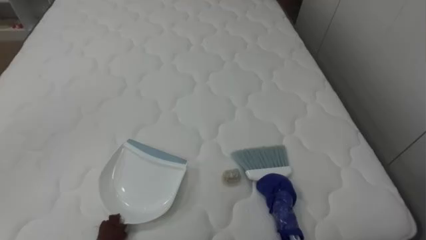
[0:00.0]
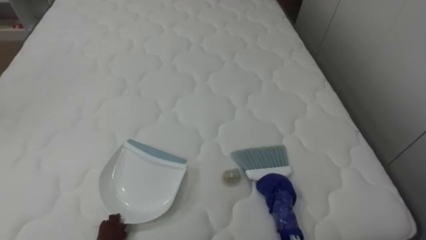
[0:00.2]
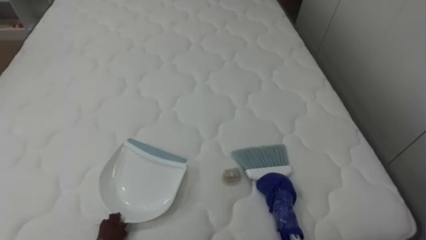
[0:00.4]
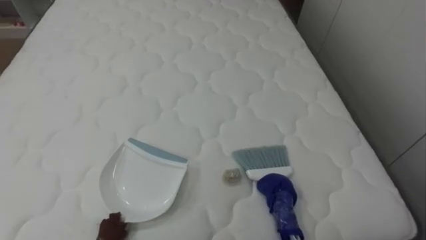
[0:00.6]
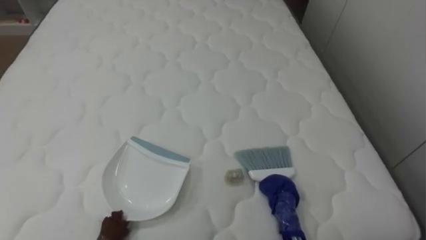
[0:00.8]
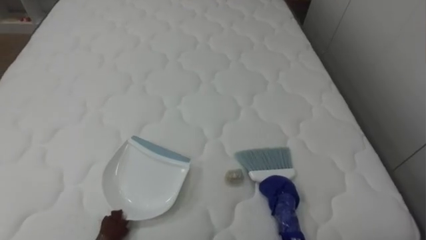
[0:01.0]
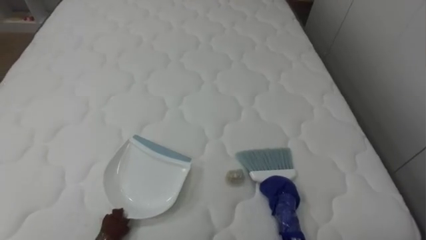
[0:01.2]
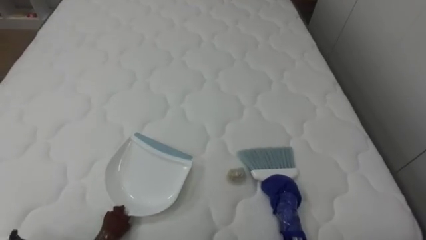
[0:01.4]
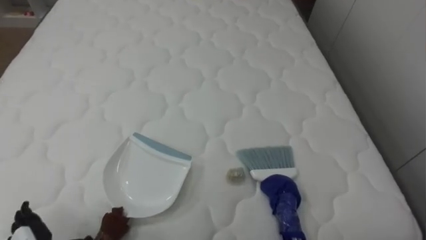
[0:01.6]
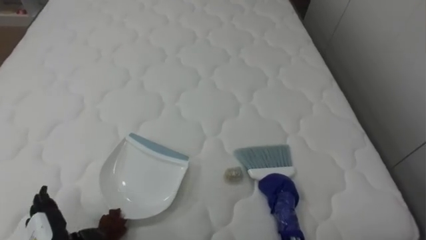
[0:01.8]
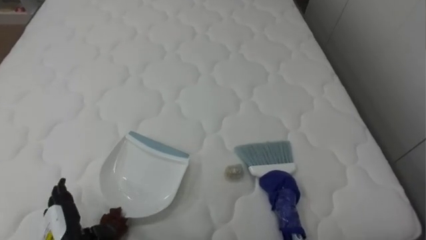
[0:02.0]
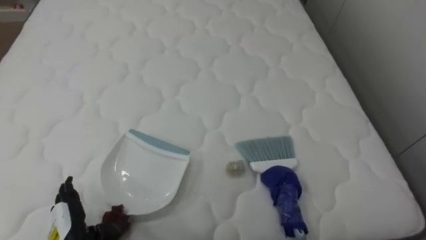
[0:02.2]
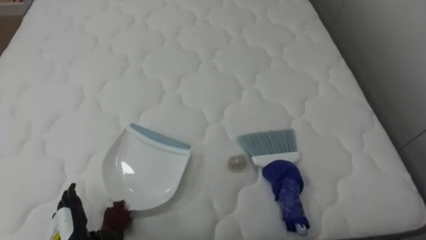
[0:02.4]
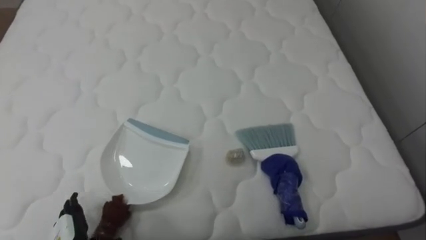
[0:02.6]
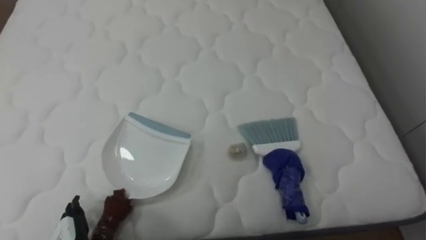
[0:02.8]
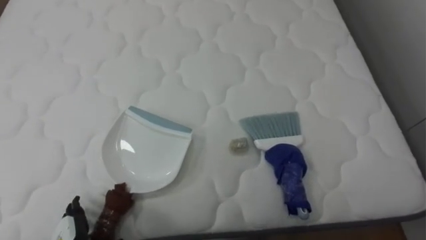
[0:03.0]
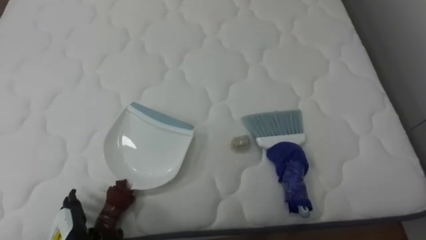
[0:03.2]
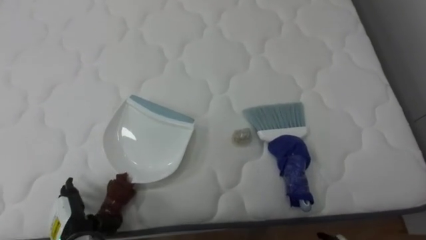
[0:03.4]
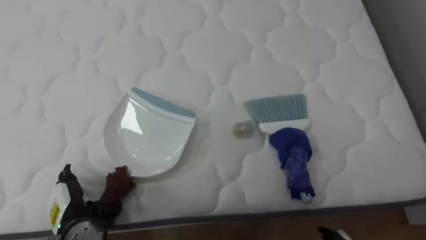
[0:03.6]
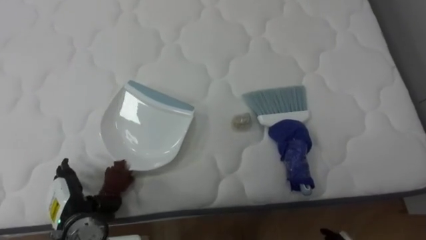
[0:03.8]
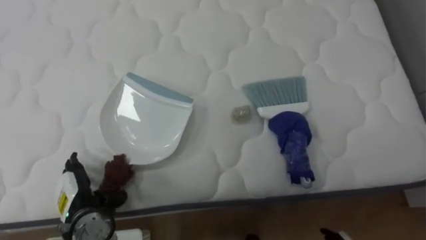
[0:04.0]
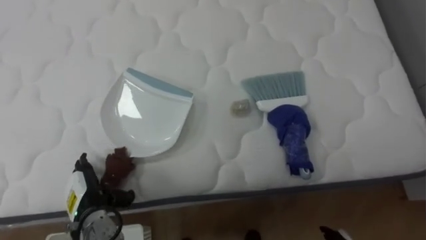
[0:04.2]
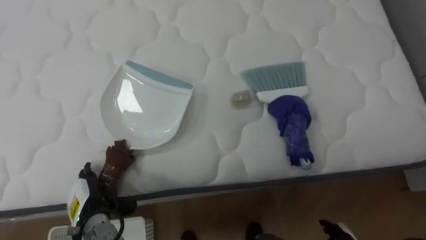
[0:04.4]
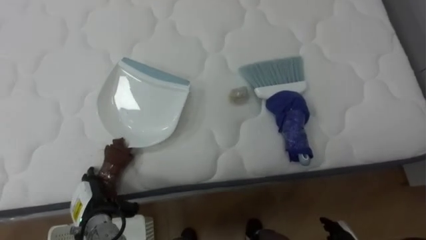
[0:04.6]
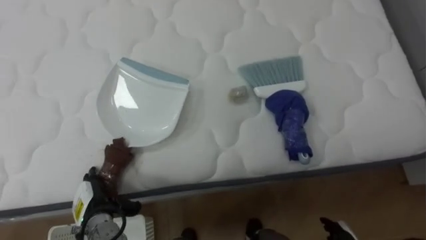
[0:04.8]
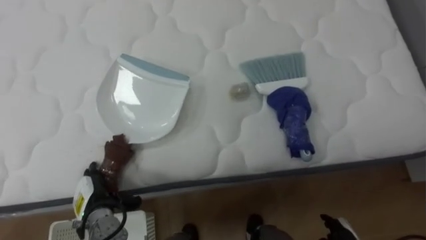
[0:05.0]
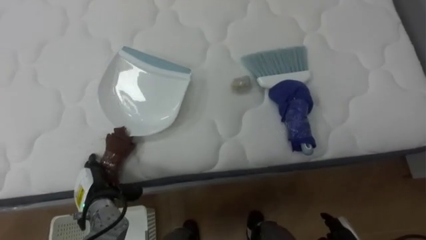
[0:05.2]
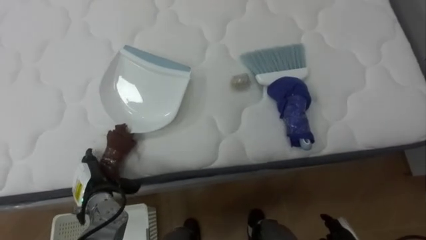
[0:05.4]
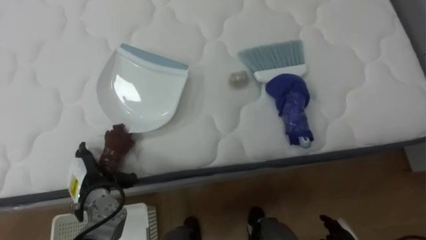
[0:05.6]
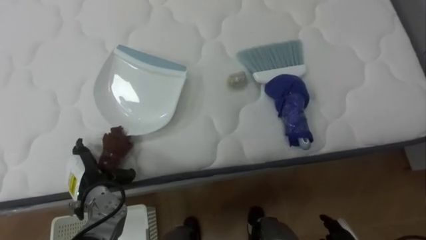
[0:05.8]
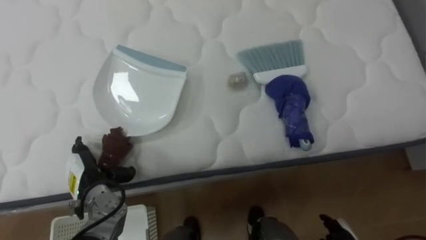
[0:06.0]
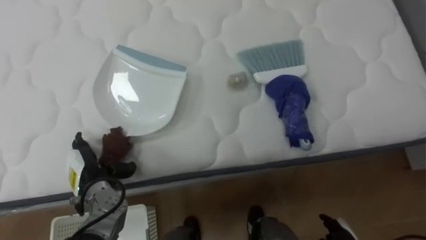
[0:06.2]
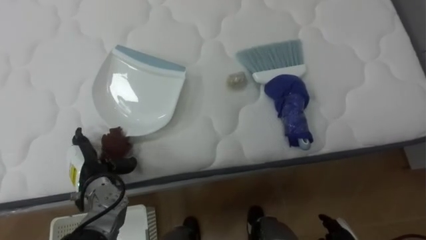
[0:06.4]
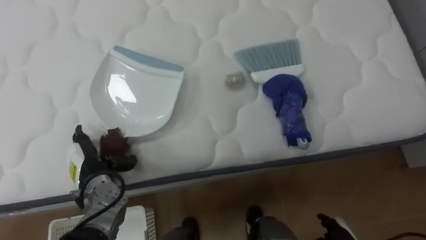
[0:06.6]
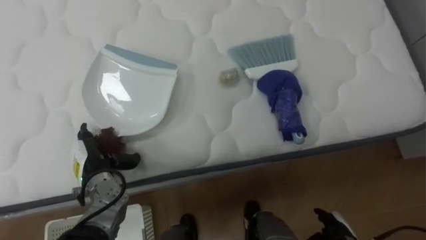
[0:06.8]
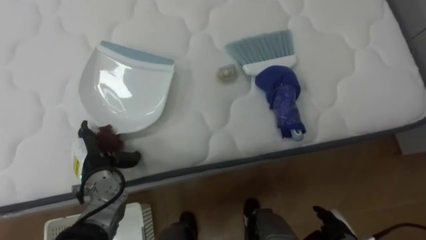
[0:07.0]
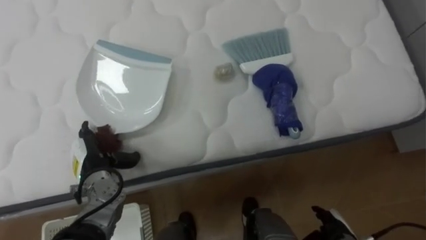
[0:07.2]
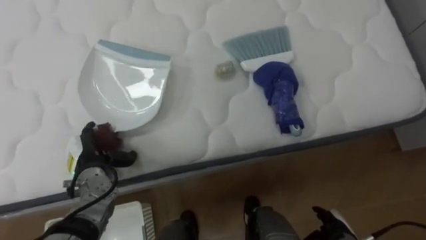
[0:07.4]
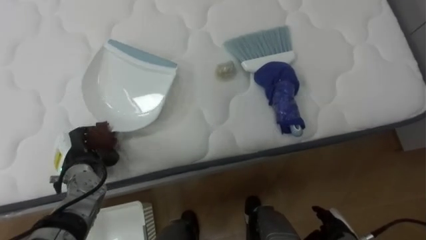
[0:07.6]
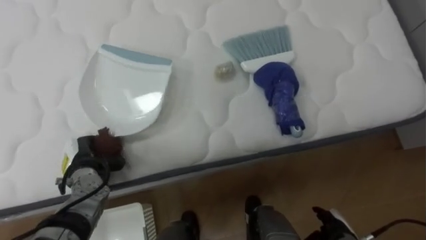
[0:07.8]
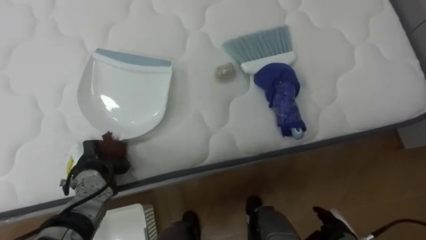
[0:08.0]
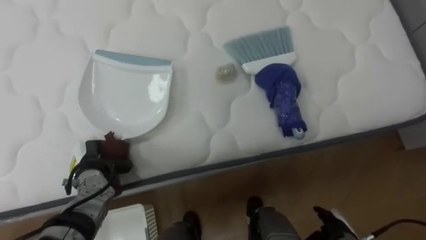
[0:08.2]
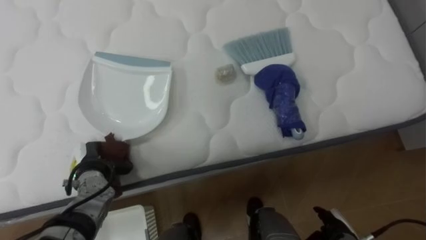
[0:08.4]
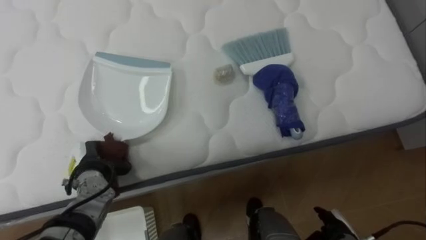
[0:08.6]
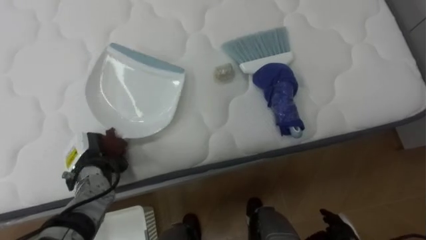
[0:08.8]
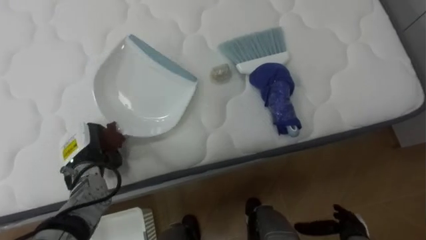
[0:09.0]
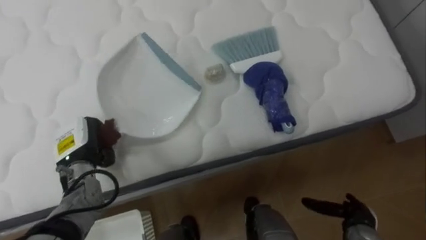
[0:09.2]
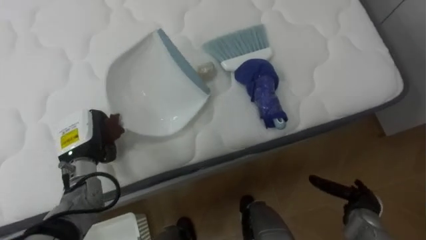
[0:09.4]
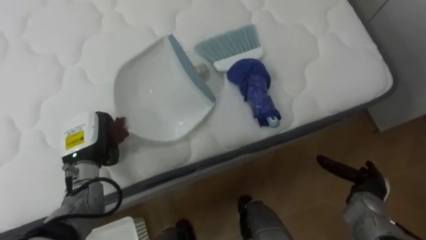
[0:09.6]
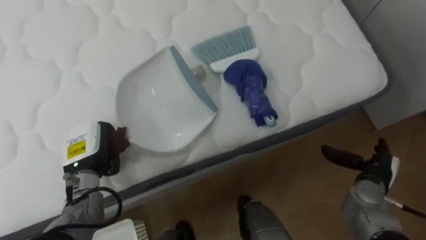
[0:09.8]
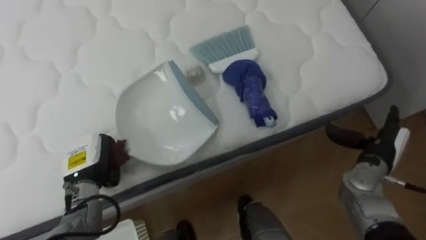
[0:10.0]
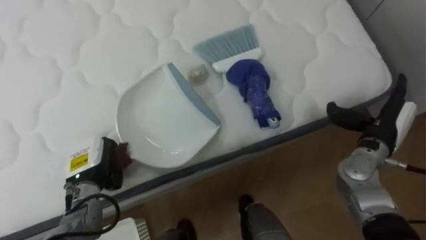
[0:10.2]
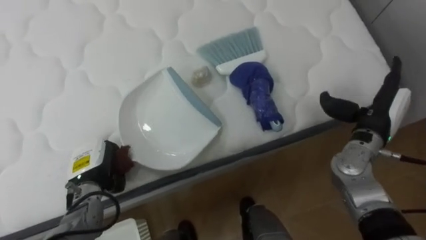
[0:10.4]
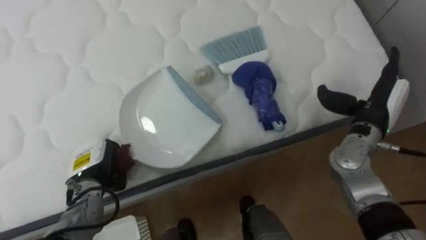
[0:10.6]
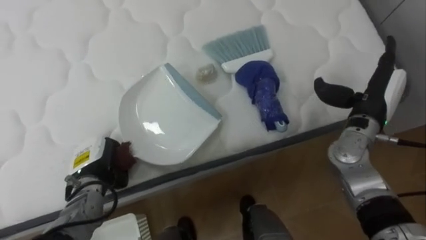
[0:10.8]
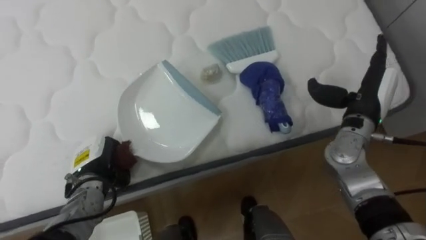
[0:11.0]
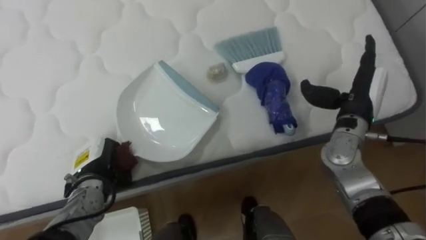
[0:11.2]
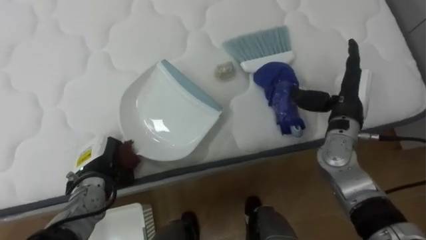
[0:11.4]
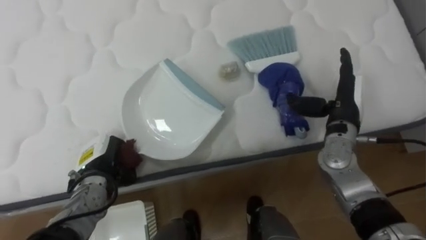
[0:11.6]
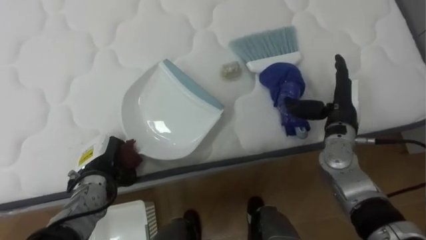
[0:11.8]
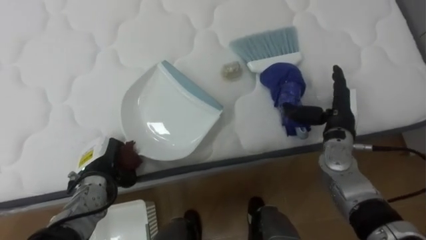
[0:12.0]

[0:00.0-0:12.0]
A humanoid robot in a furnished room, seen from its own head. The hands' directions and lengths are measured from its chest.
Task of the whole recording: Pick up the brush on your right and the dustpan on your left. Use the brush to sweep the crumpled paper on the bed into the dustpan, then turn left and empty it into the basket.
4.4 to 6.0 s: The left hand changes place by approximately 5 cm.
6.0 to 7.6 s: The left hand closes its fingers.
7.6 to 9.0 s: The left hand closes its fingers.
9.0 to 10.4 s: The right hand moves upward and forward, about 25 cm.
10.4 to 12.0 s: The right hand travels to the left by approximately 5 cm.

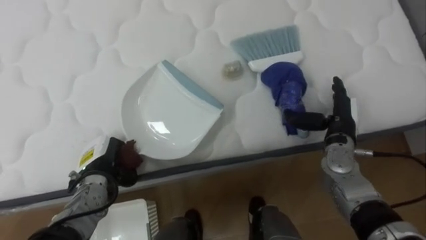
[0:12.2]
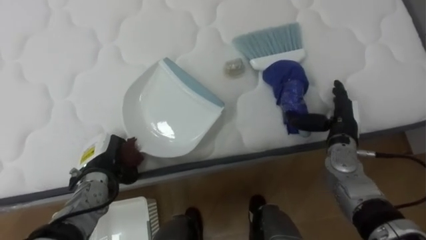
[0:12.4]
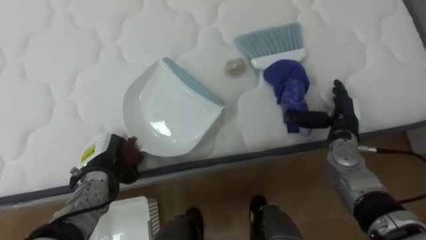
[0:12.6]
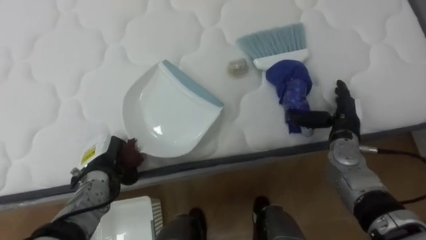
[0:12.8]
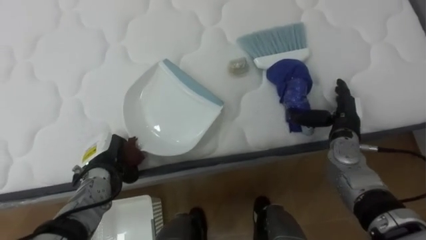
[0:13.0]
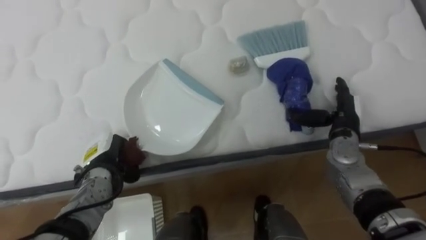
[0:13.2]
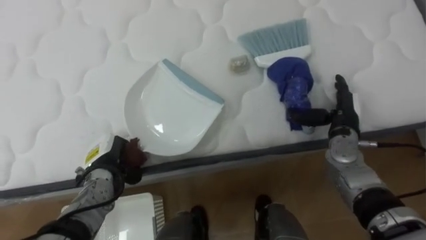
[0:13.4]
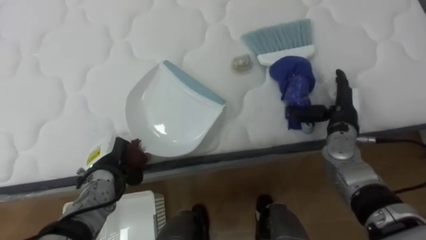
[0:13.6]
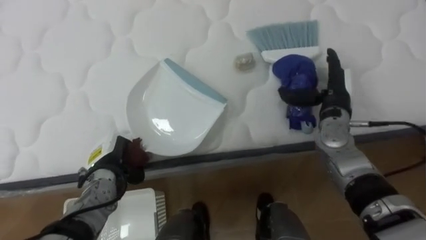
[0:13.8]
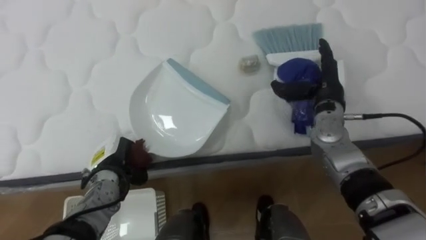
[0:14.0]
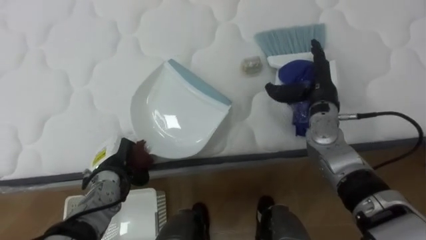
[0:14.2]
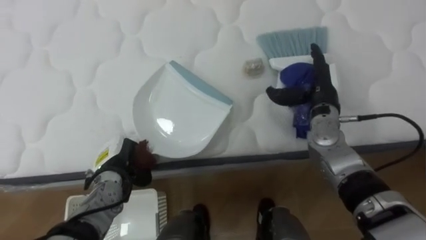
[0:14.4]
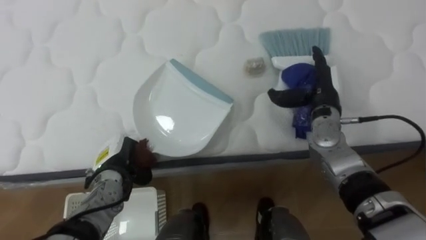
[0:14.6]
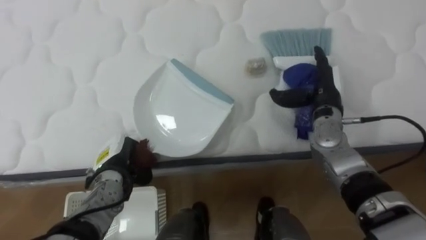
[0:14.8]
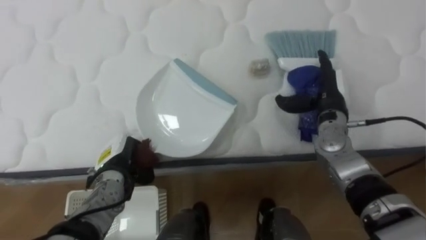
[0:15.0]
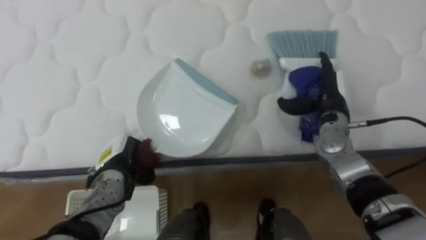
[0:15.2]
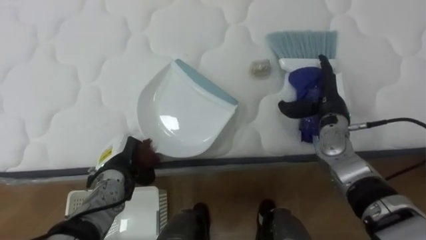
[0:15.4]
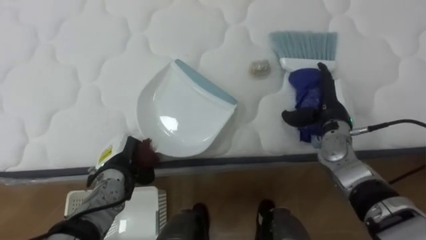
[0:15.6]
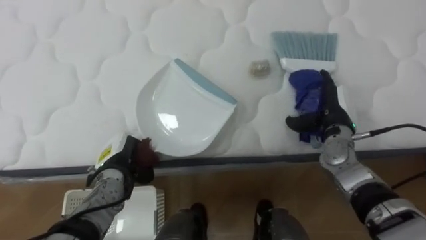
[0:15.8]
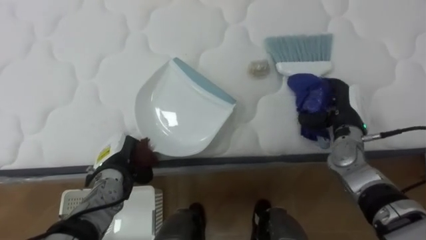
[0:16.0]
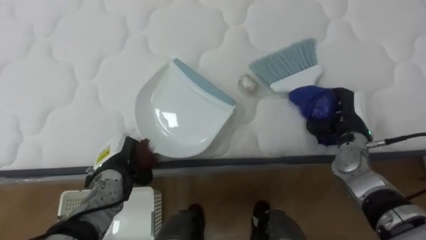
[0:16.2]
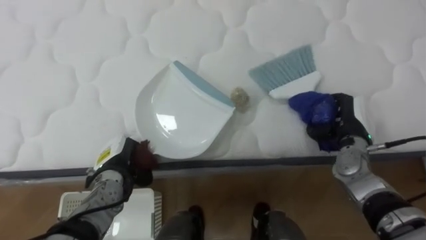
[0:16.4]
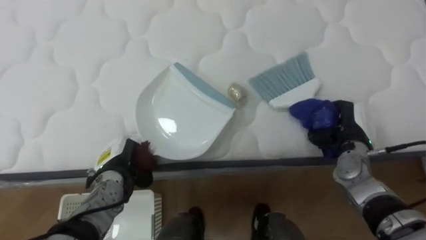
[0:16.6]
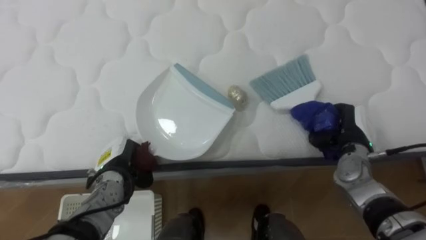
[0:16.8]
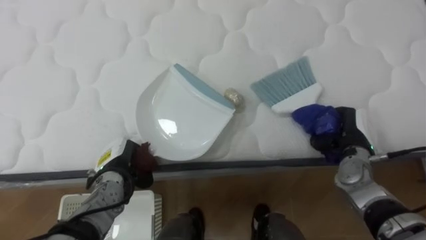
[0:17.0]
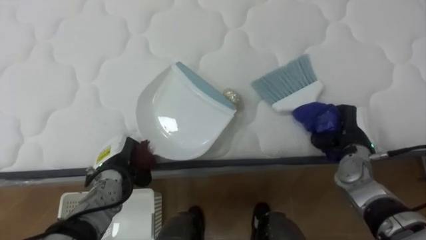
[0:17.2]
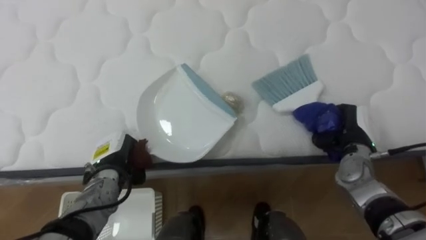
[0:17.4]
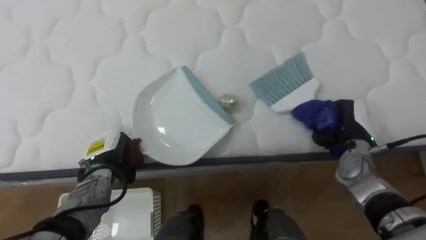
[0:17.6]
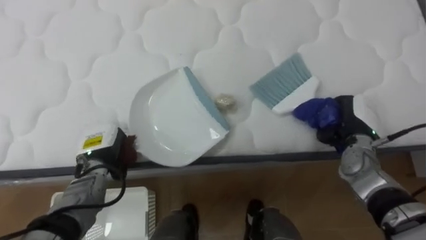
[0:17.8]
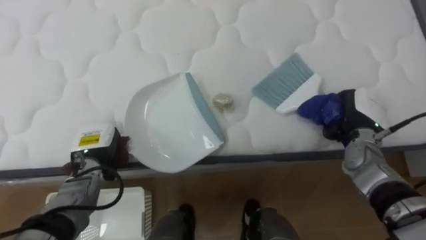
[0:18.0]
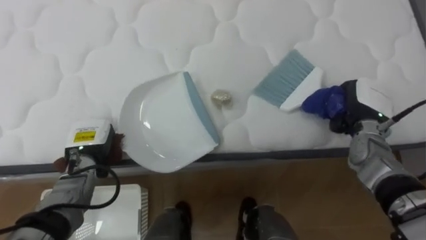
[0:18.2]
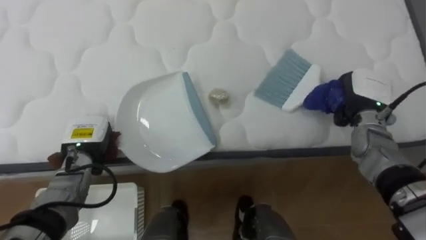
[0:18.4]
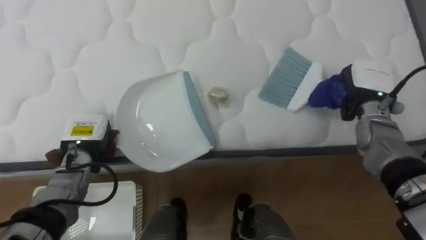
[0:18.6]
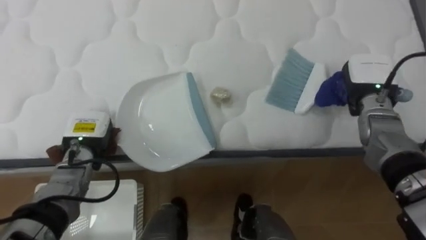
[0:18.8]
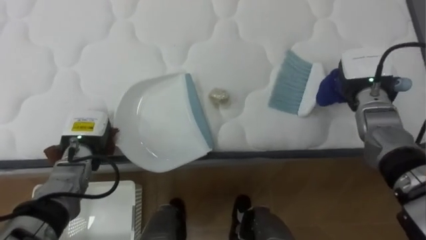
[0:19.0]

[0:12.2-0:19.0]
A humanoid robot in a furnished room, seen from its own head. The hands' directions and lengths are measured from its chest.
Task of the whole recording: Pick up the brush on your right and the dustpan on your left. Use the brush to sweep the crumpled paper on the bed into the dustpan, then turn left and empty it into the basket.
15.0 to 16.2 s: The right hand shifts by approximately 5 cm, and closes.
17.6 to 19.0 s: The left hand shifts by approximately 5 cm. The right hand travels upward and forward by about 10 cm.
